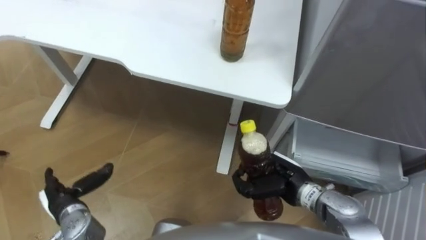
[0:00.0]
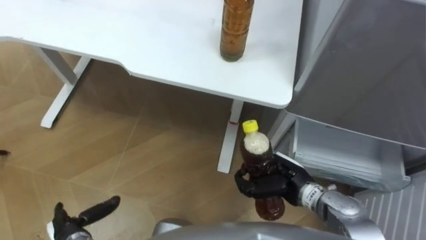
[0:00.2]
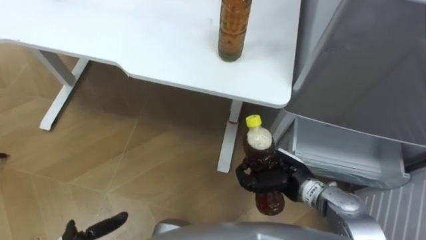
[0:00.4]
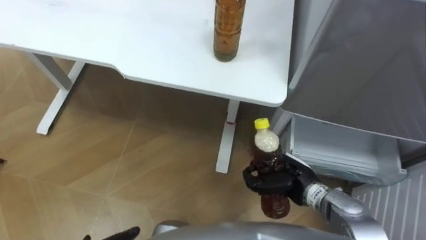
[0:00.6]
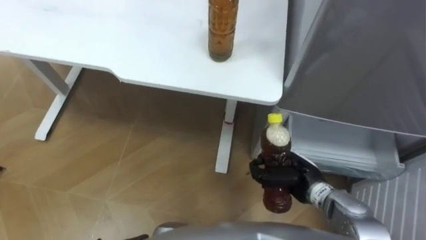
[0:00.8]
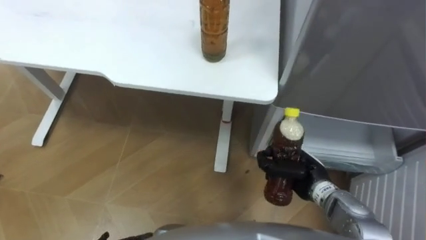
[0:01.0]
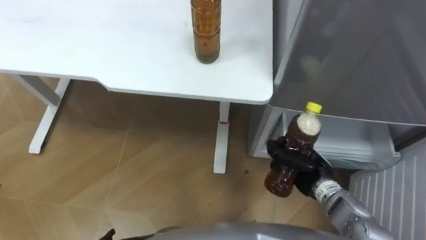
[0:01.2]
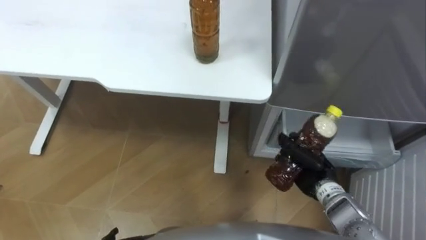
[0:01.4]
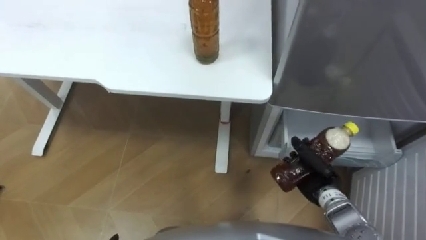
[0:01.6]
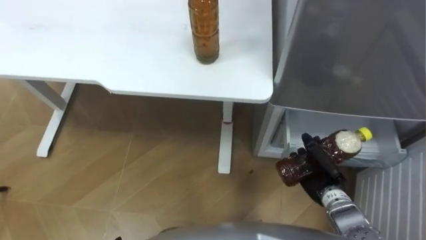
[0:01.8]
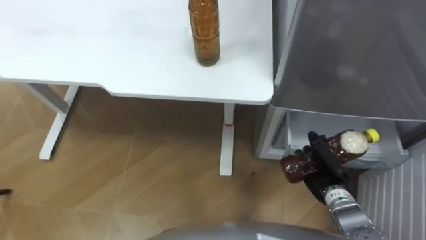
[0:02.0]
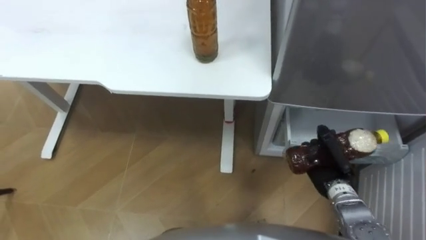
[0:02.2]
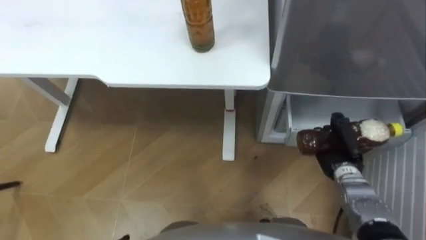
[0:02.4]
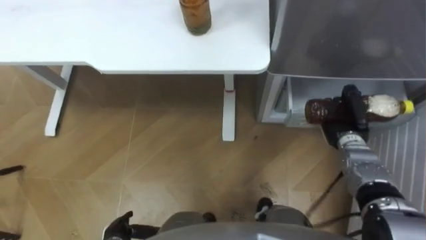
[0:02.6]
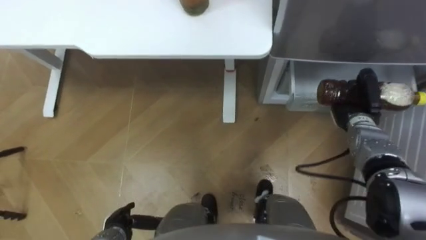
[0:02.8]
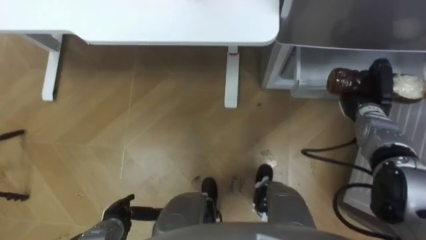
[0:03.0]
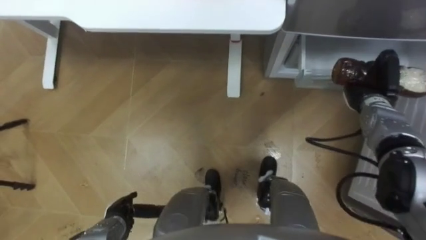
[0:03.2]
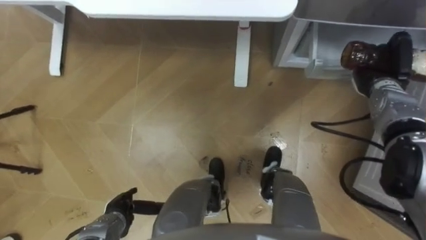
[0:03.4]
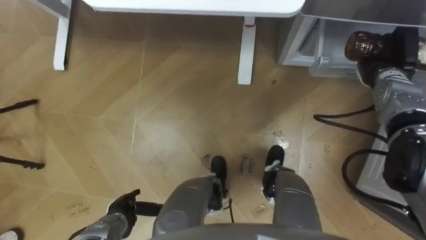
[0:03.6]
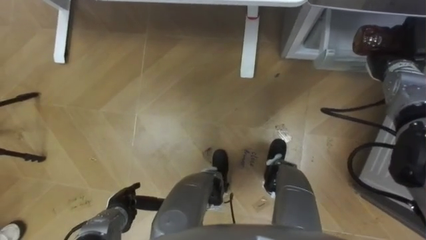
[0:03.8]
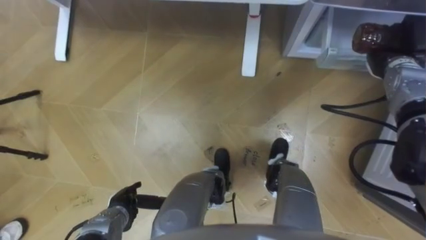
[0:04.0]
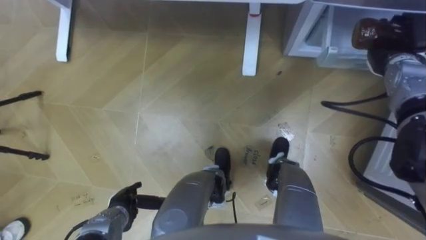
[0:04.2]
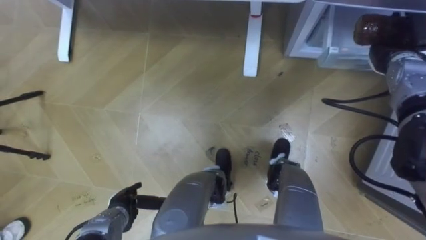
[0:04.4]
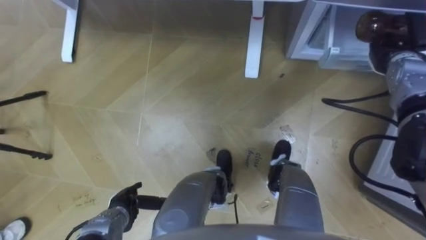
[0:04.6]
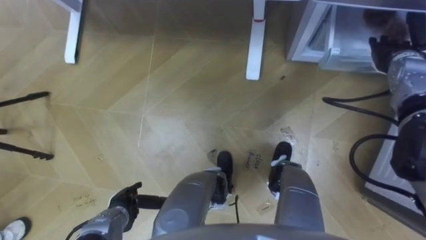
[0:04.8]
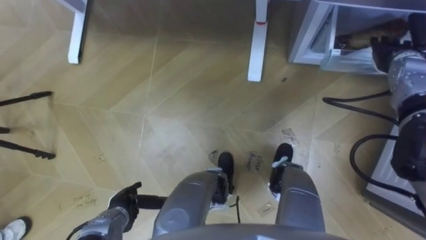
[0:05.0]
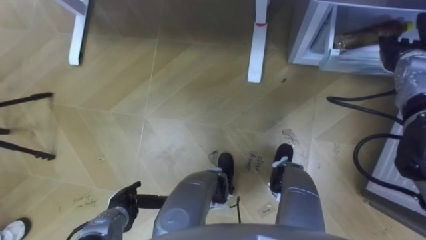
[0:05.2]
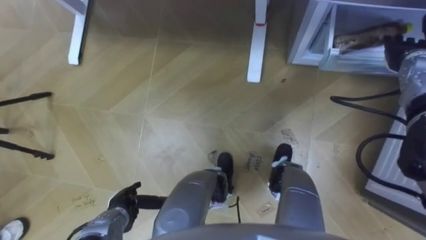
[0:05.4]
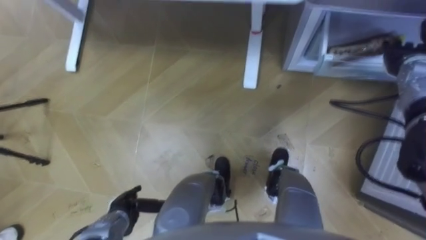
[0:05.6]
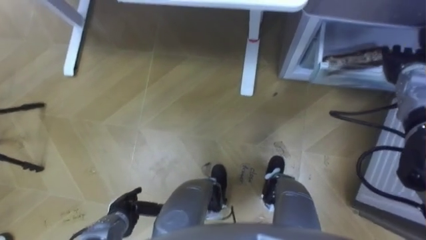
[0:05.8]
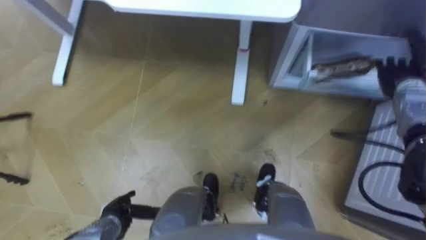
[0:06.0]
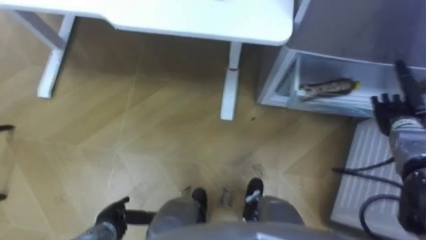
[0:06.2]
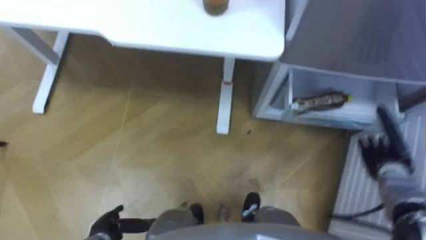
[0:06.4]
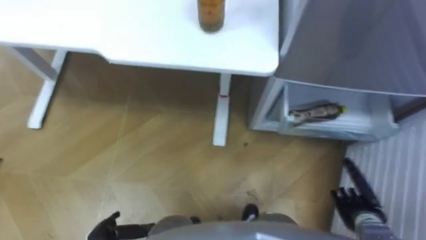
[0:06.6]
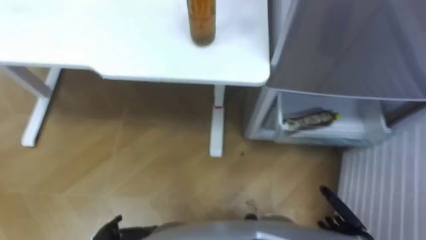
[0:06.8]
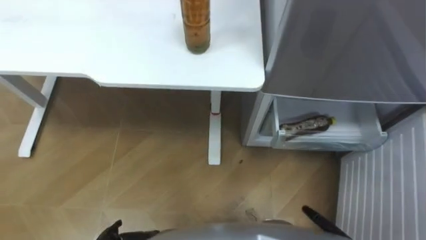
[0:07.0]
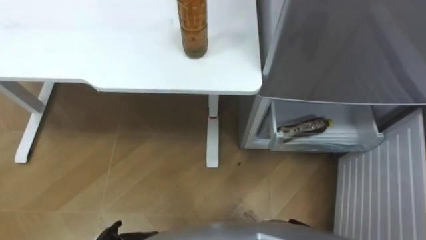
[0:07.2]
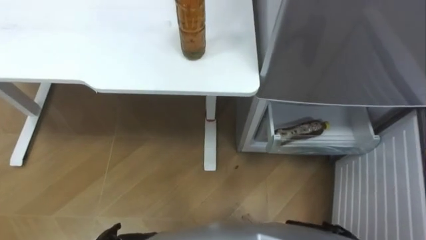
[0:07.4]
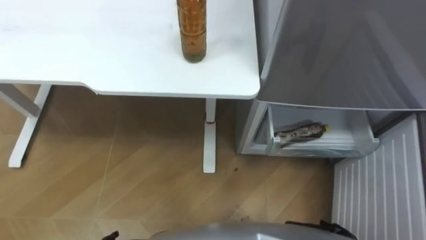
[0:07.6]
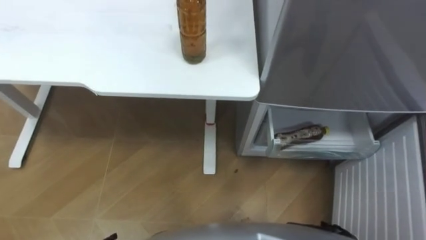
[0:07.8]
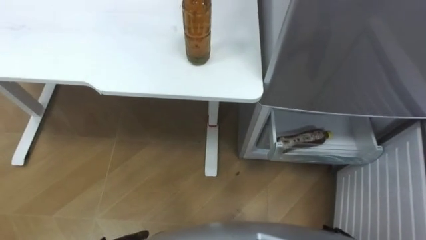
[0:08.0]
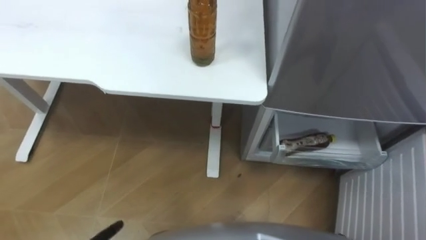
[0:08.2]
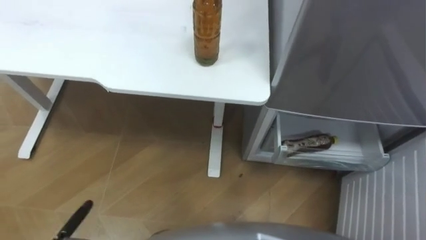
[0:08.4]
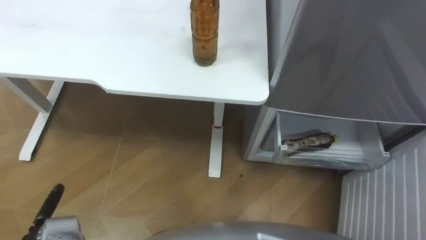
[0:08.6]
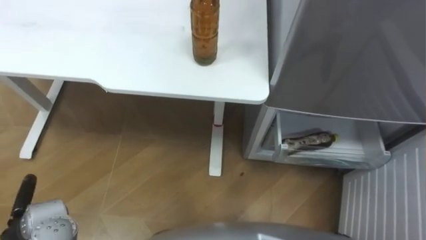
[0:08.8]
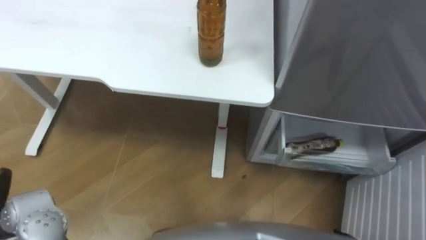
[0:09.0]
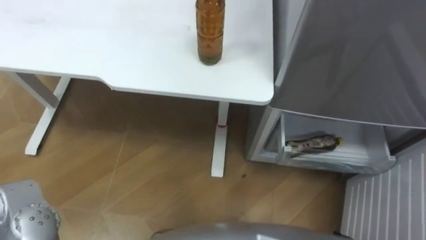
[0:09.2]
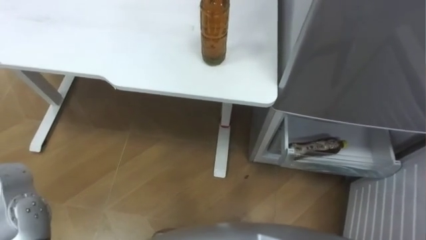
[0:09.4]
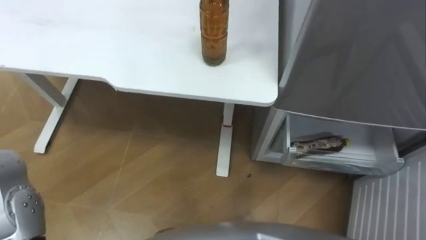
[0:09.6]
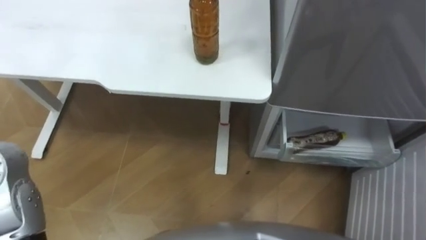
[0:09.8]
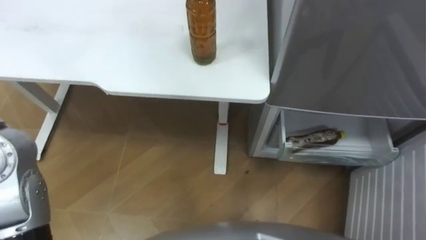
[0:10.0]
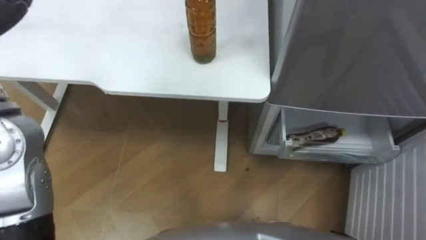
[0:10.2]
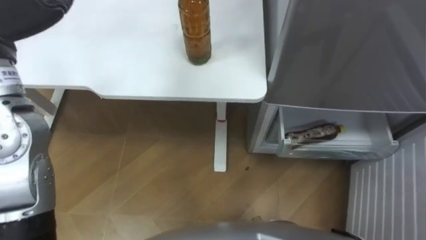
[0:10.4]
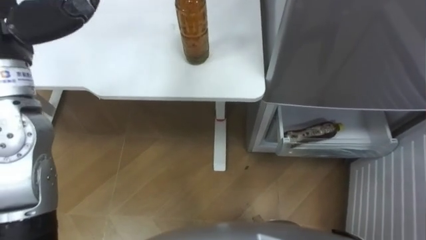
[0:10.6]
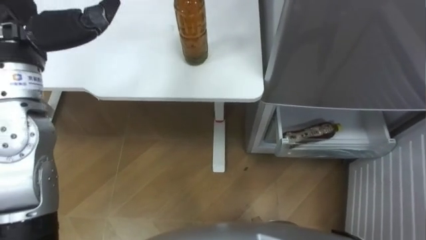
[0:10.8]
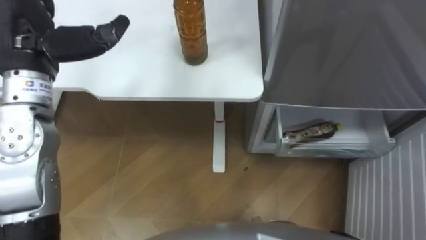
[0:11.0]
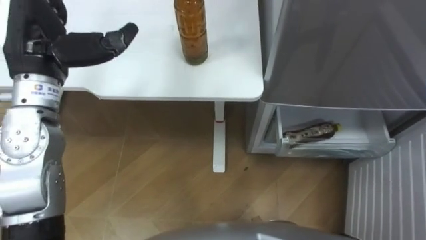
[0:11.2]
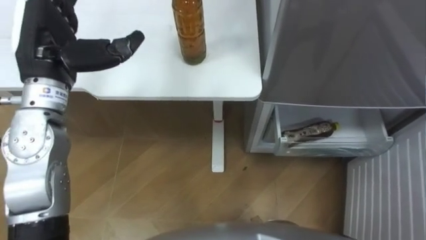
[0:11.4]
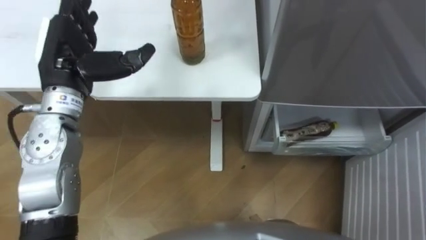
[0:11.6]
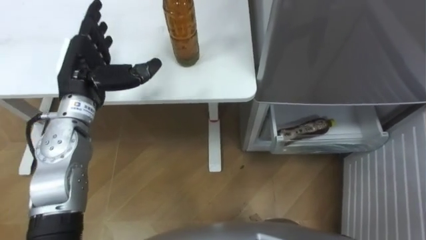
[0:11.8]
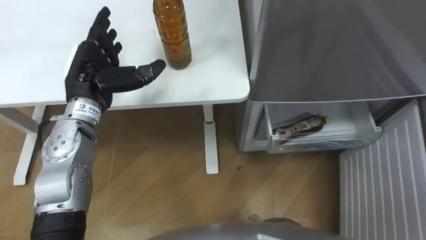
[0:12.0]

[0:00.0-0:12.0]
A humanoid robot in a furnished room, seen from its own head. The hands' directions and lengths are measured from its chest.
Task of the whole recording: Place the drink on the table on the bottom shelf of the refrigerator, then close the drawer and the refrigerator door.
0:00.0 to 0:01.6: The right hand goes about 10 cm to the right.
0:01.6 to 0:03.0: The right hand moves forward, to the right and upward, some 20 cm.
0:03.0 to 0:04.4: The right hand goes about 10 cm upward and forward, and opens.
0:04.4 to 0:06.0: The right hand changes place by roughly 5 cm.

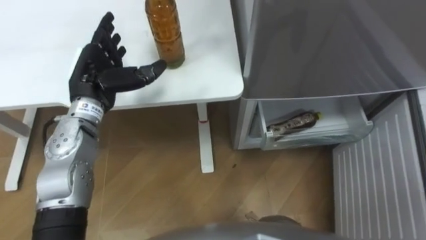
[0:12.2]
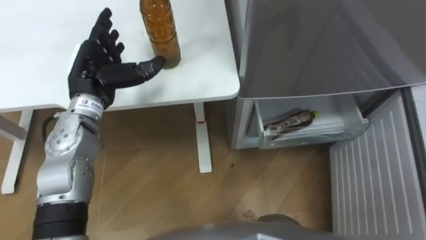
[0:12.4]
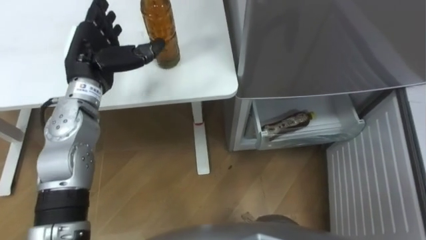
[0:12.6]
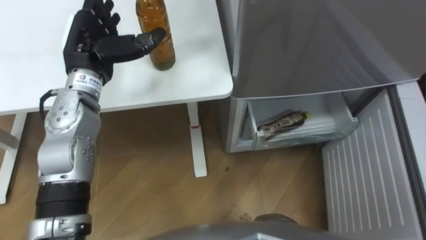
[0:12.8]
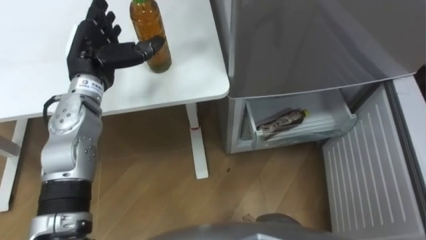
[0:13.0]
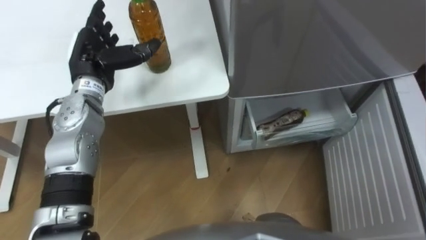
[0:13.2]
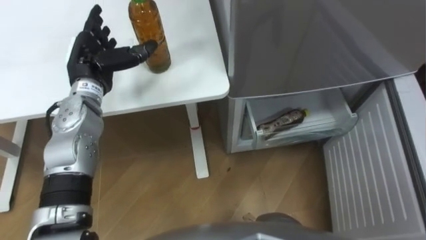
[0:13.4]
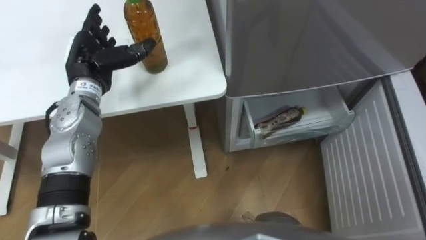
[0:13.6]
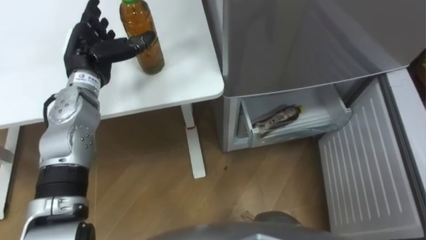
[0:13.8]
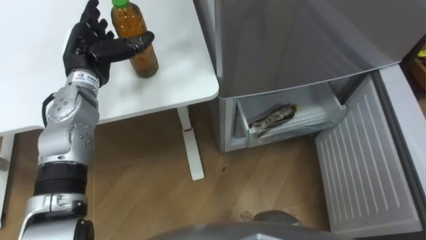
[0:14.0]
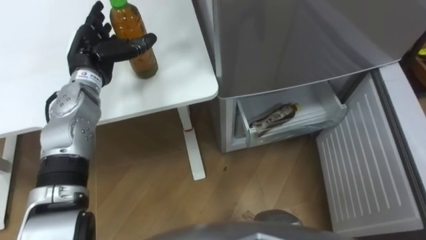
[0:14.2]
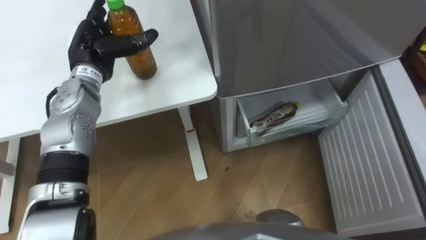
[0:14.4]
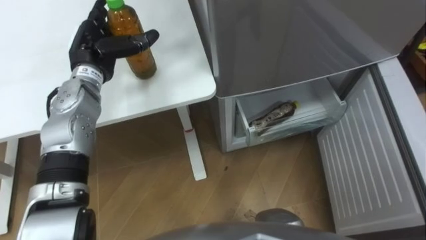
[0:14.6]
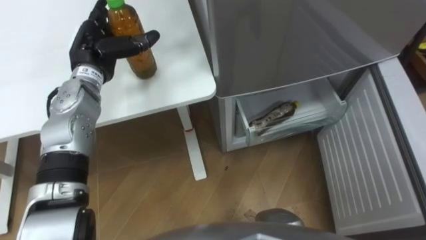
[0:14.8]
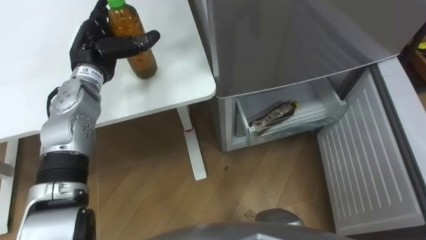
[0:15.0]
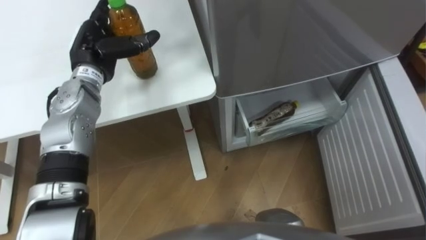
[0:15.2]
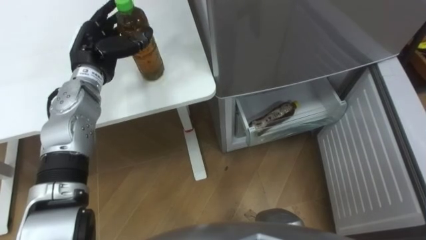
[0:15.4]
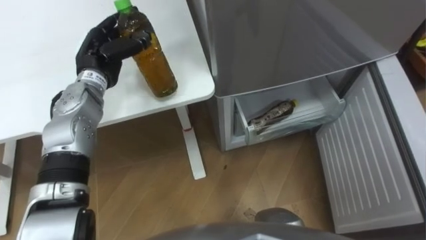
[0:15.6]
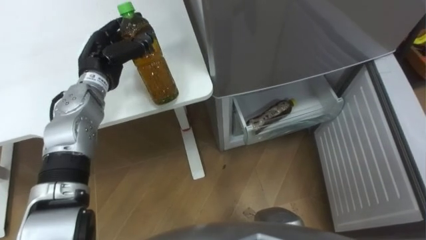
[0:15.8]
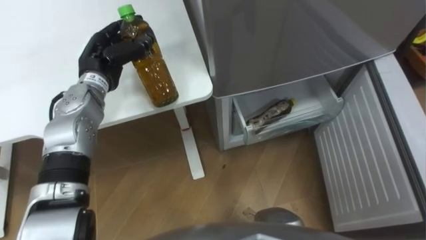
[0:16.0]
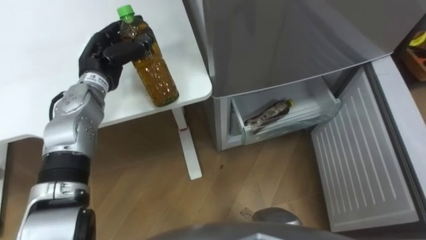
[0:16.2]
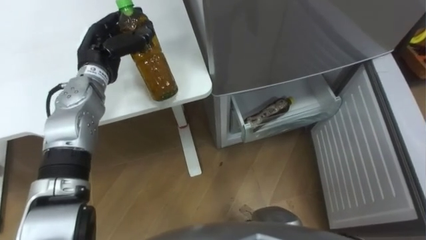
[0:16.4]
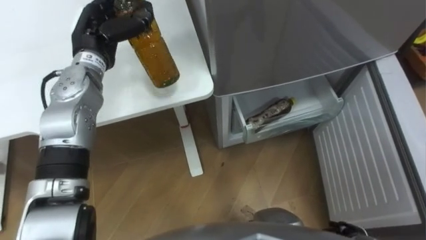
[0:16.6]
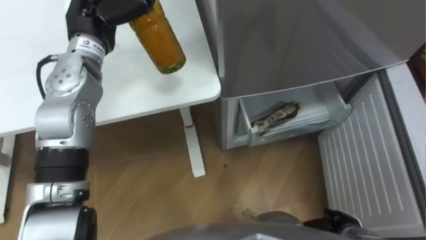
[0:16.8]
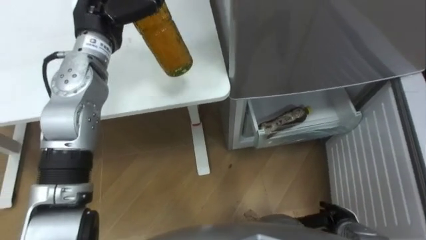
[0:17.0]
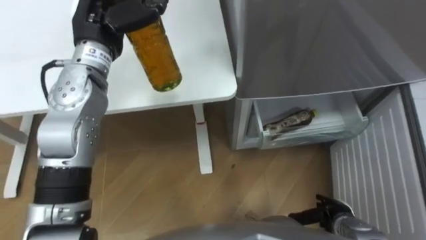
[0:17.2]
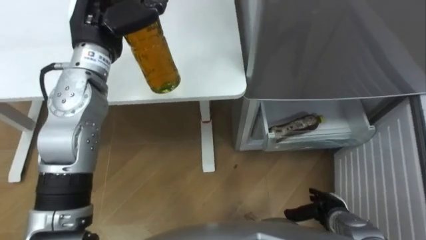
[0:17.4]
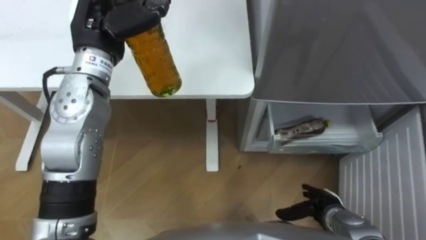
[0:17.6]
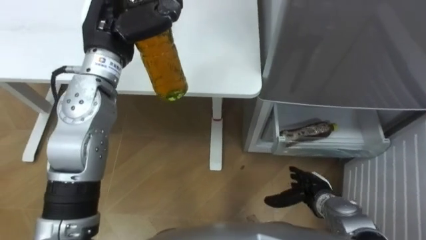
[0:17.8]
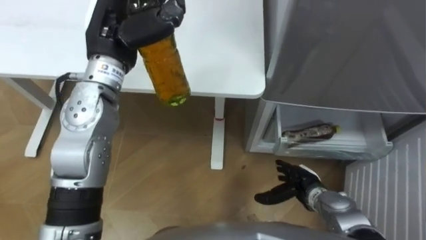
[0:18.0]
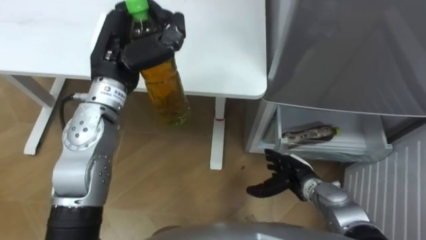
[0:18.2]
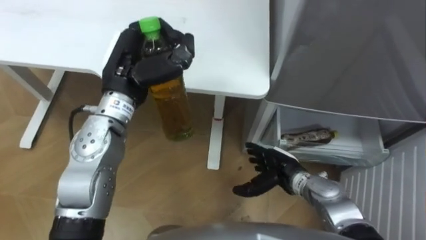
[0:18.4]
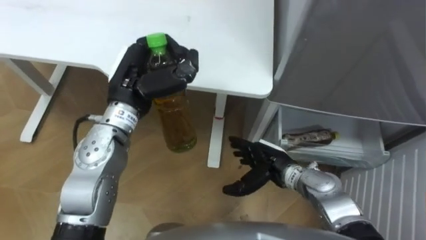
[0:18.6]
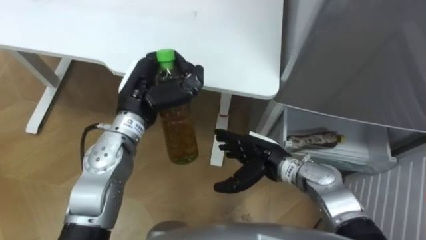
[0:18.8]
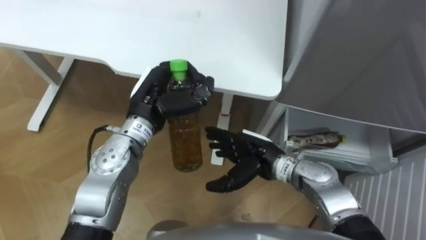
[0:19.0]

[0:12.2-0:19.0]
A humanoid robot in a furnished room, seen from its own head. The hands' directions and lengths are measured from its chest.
Task of the whole recording: Place the drink on the table on the bottom shelf of the refrigerator, then close the drawer and the refrigerator door.
0:15.0 to 0:16.2: The left hand closes.
0:16.2 to 0:17.6: The left hand is displaced upward by approximately 10 cm.
0:17.6 to 0:19.0: The left hand travels downward, to the right and backward by some 15 cm. Meanwhile the right hand shifts roughly 25 cm to the left, upward and forward.
